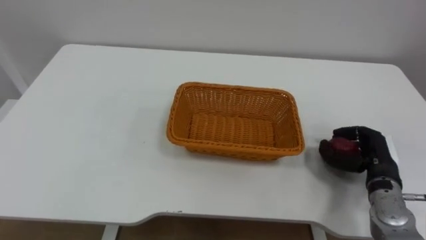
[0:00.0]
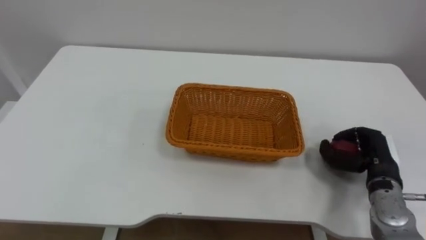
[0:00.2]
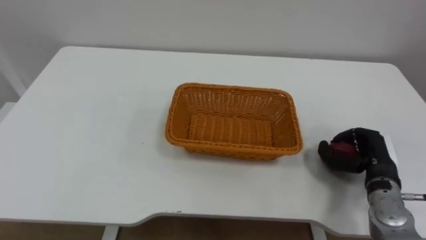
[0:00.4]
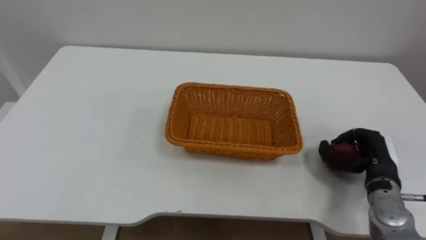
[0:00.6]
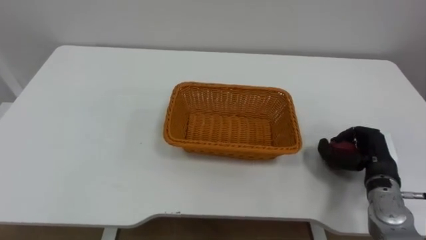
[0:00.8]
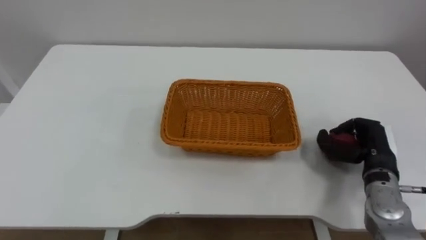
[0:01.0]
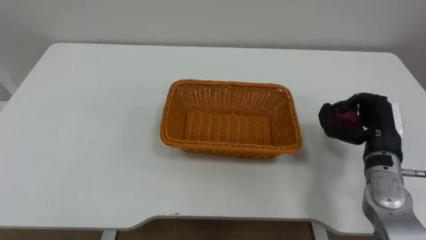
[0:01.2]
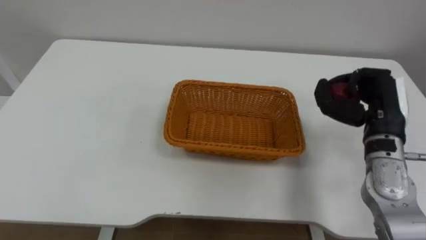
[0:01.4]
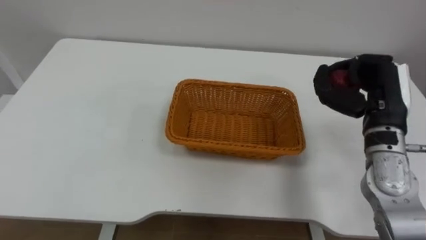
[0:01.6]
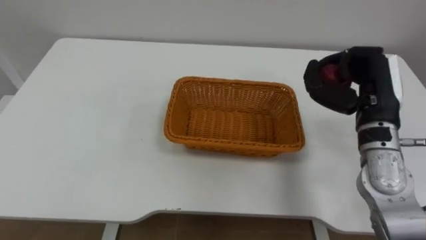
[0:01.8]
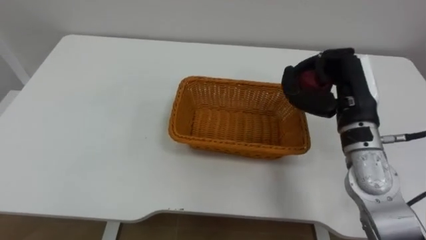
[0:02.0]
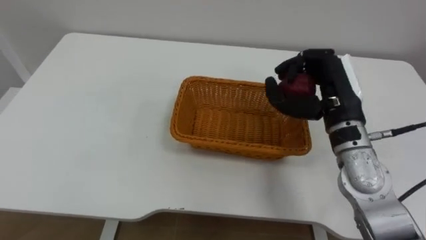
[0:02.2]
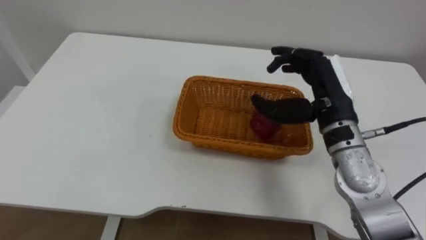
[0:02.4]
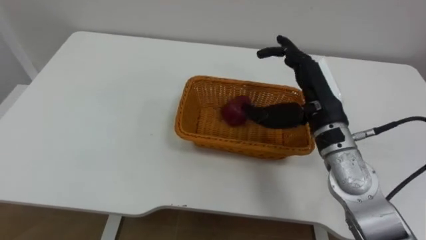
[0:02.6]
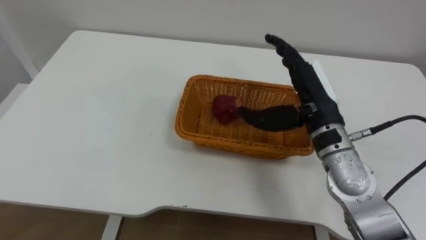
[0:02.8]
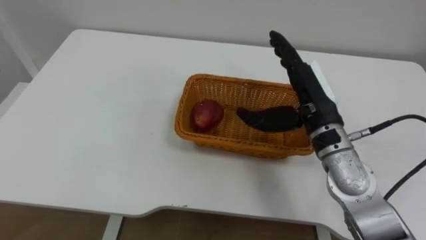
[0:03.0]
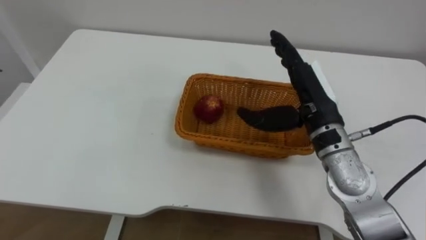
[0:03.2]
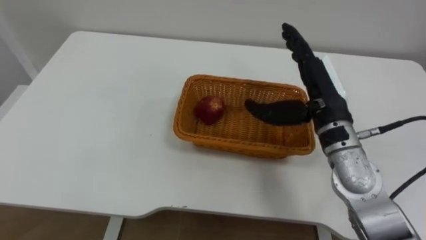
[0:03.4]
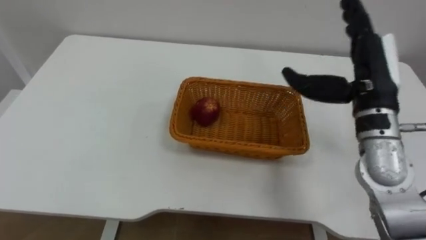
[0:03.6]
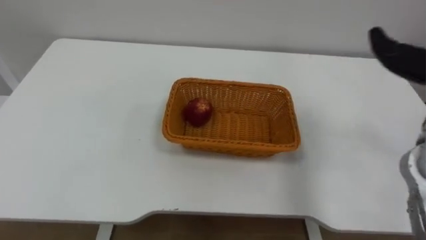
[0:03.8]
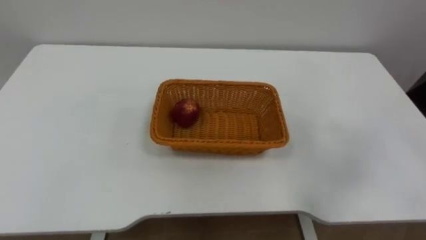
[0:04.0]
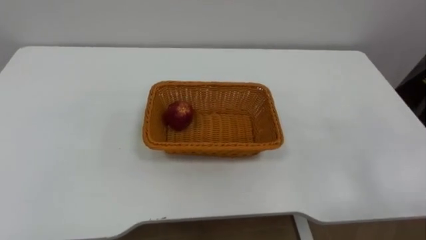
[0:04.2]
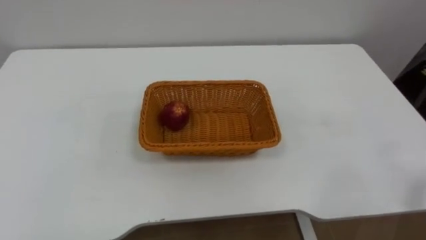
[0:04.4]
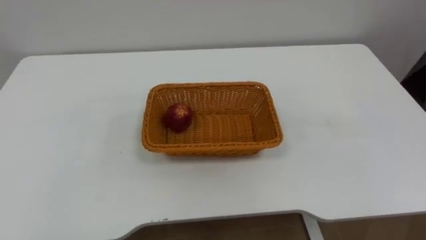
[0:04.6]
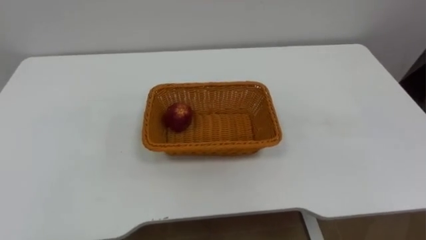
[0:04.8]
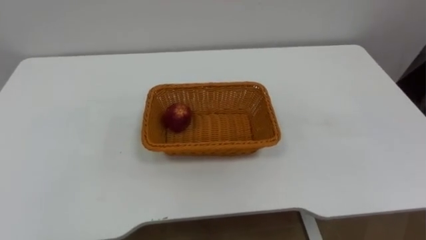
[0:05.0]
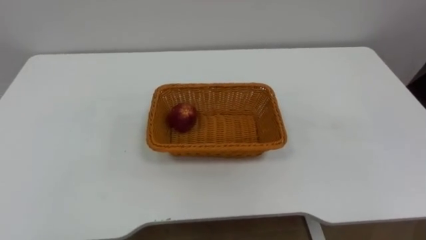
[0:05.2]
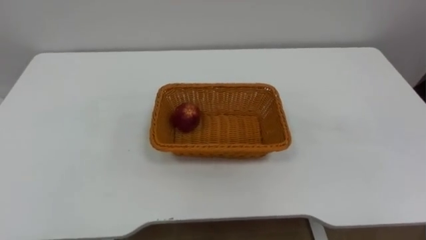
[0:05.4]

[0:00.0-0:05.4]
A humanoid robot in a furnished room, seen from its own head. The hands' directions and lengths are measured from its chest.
Task of the whole recording: Pick the apple and place it in the box.
0:00.0 to 0:01.4: The right hand heads upward, covering roughly 10 cm.
0:01.4 to 0:02.8: The right hand moves to the left, roughly 10 cm, and opens its fingers.

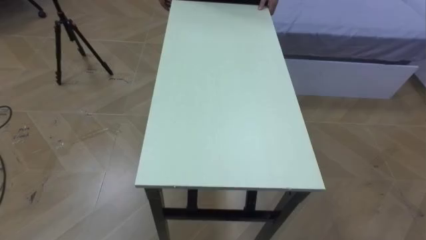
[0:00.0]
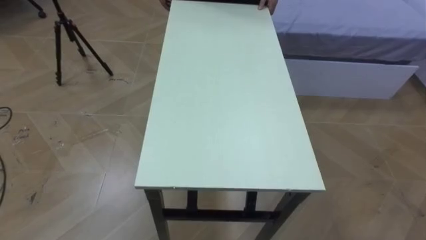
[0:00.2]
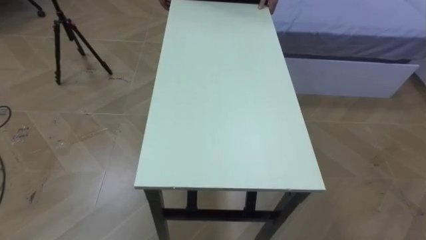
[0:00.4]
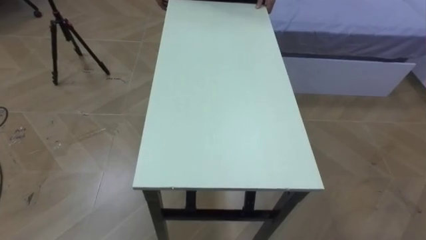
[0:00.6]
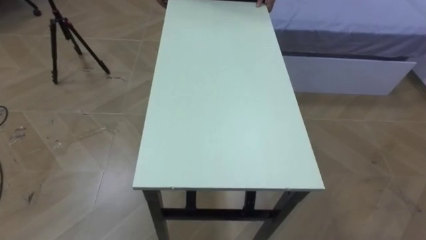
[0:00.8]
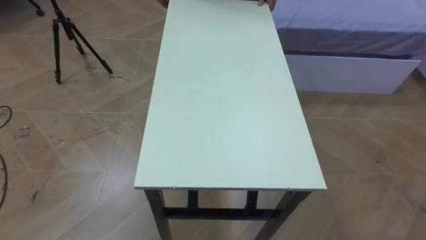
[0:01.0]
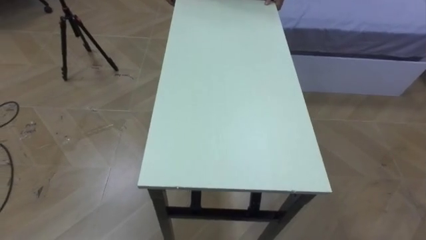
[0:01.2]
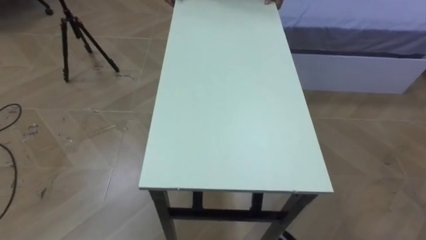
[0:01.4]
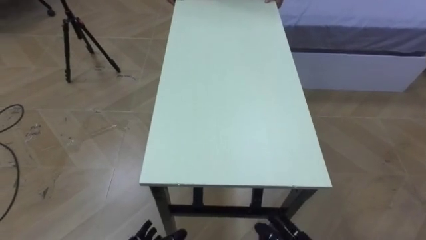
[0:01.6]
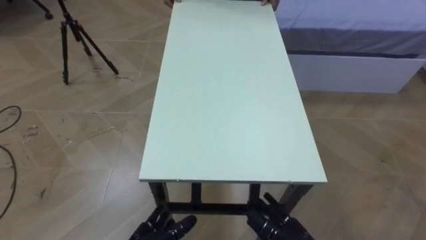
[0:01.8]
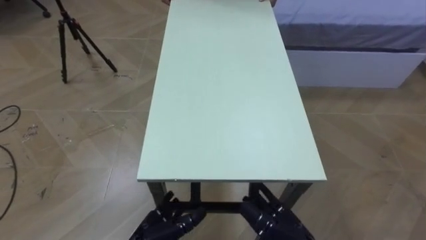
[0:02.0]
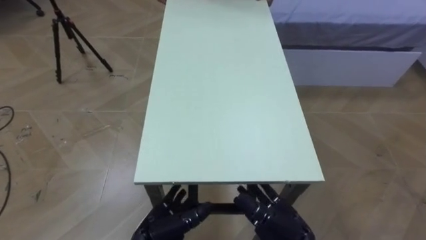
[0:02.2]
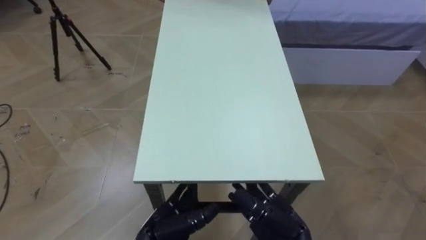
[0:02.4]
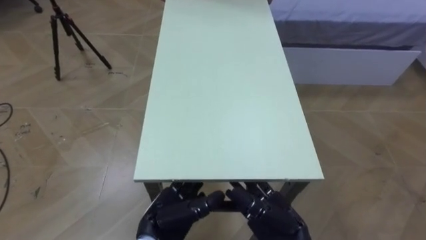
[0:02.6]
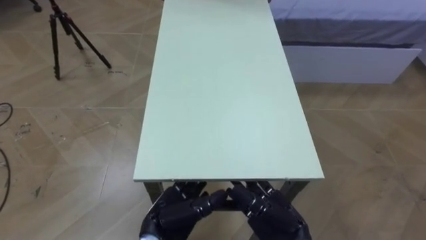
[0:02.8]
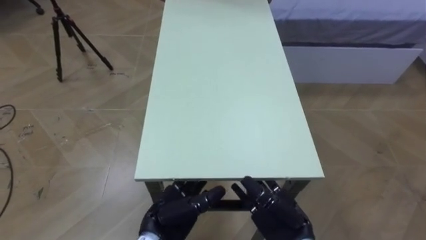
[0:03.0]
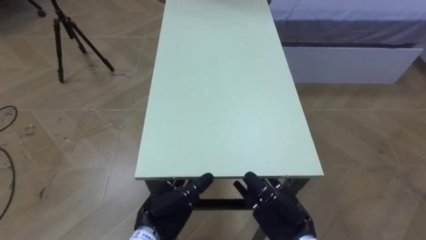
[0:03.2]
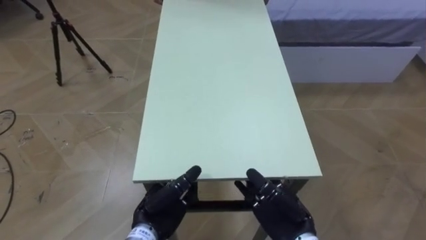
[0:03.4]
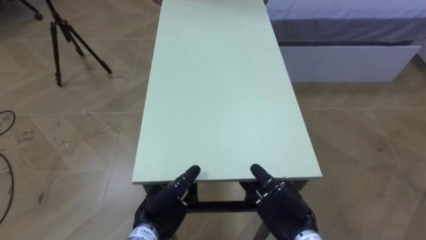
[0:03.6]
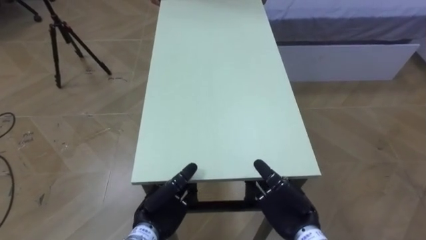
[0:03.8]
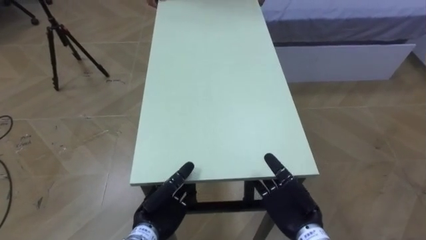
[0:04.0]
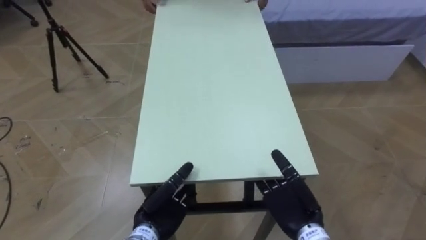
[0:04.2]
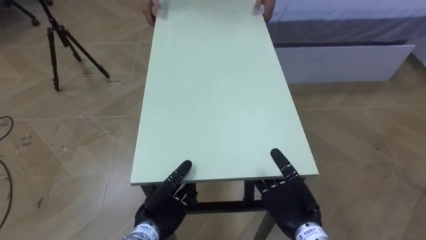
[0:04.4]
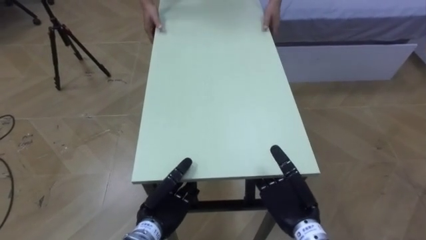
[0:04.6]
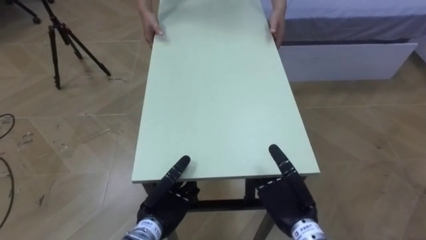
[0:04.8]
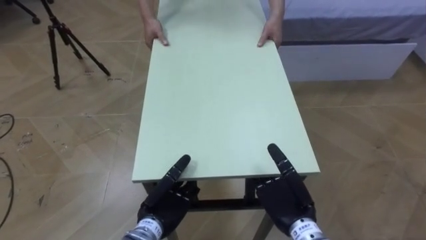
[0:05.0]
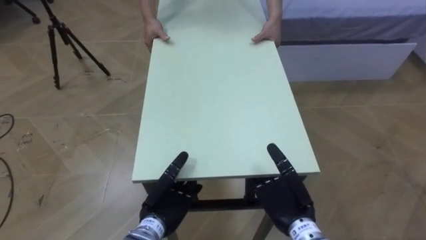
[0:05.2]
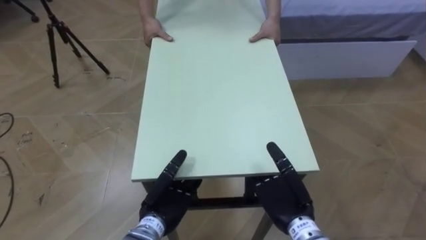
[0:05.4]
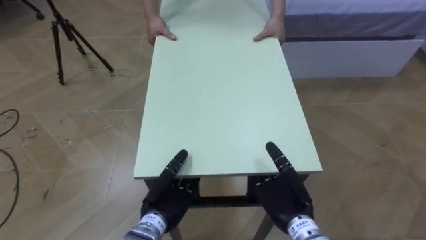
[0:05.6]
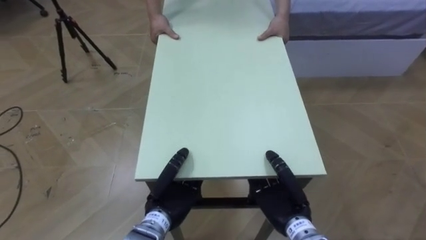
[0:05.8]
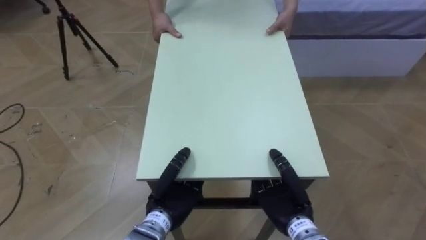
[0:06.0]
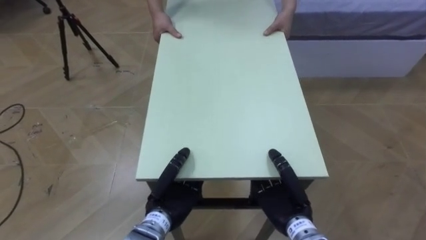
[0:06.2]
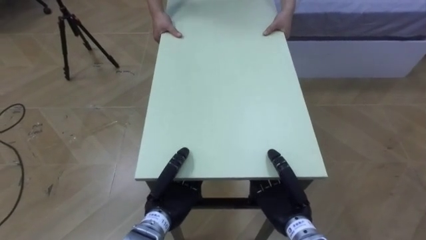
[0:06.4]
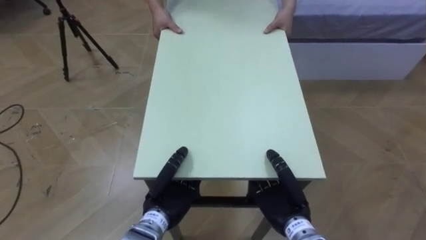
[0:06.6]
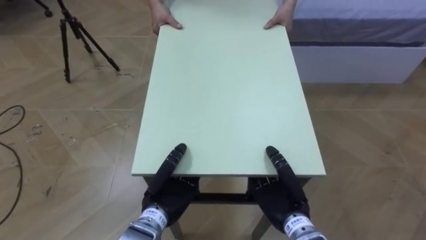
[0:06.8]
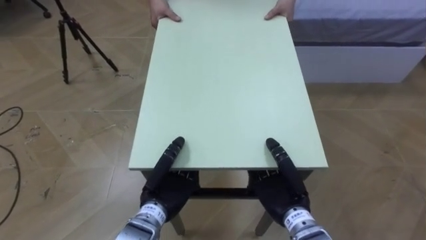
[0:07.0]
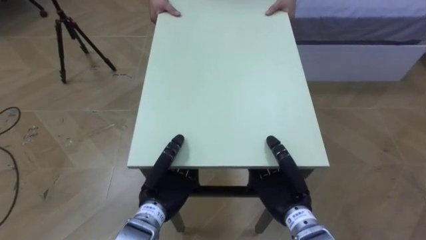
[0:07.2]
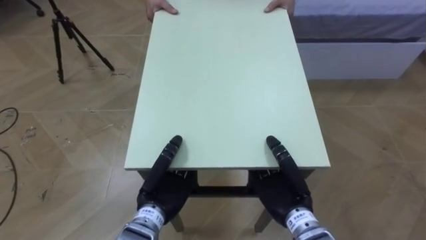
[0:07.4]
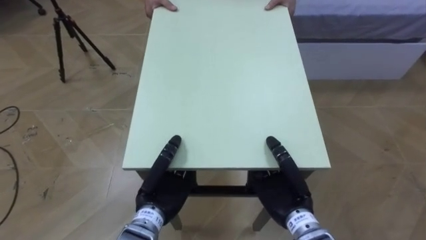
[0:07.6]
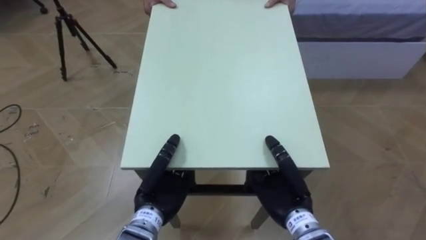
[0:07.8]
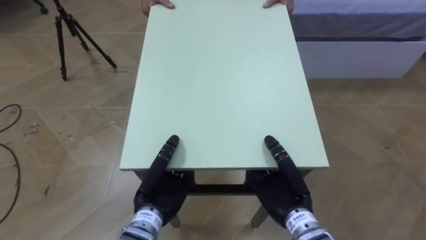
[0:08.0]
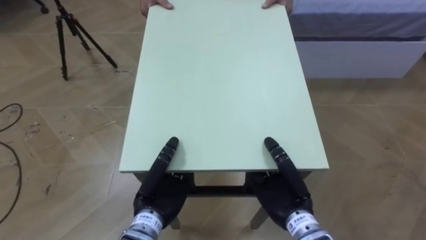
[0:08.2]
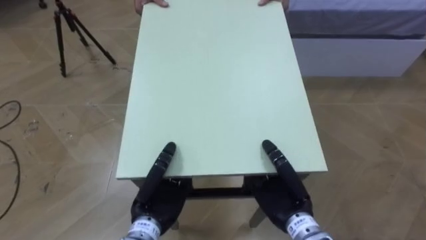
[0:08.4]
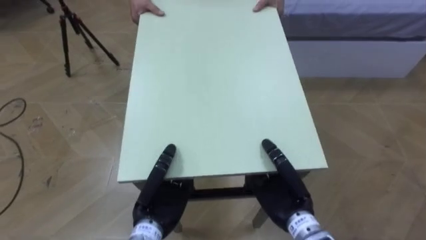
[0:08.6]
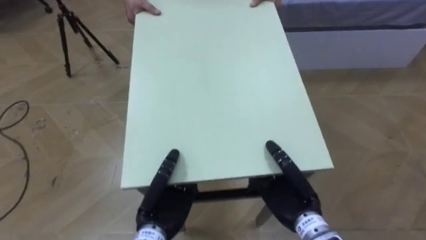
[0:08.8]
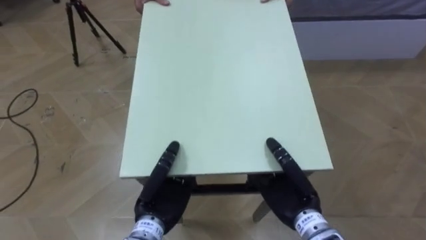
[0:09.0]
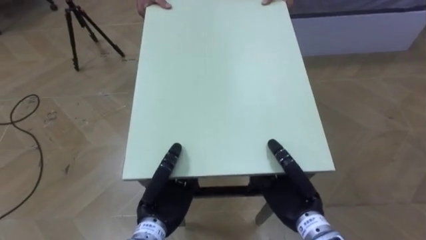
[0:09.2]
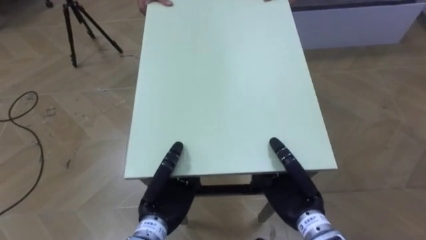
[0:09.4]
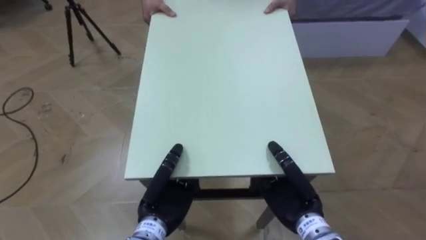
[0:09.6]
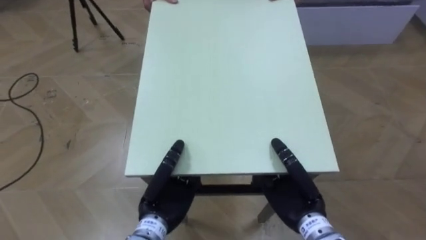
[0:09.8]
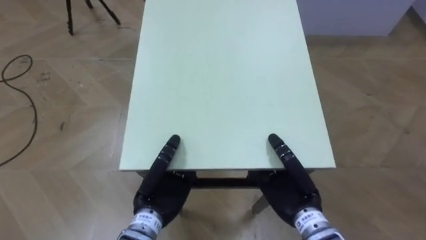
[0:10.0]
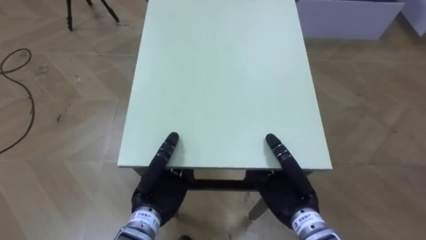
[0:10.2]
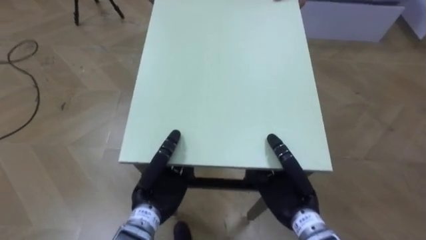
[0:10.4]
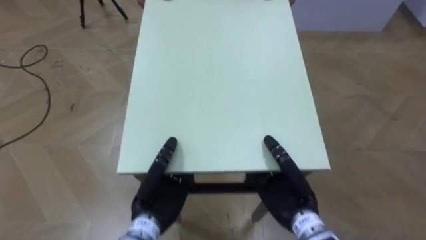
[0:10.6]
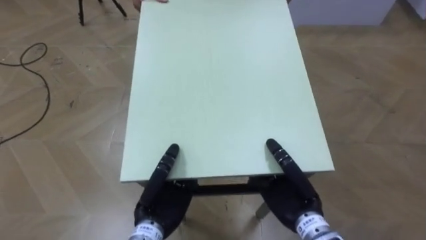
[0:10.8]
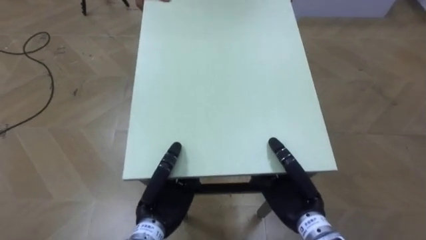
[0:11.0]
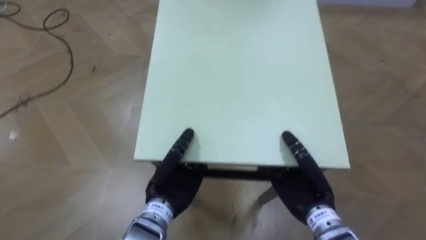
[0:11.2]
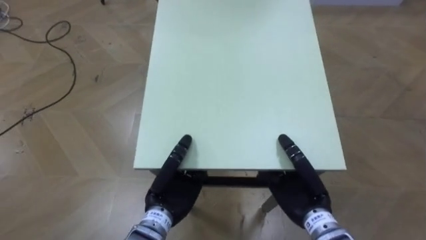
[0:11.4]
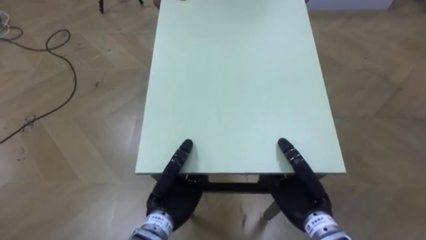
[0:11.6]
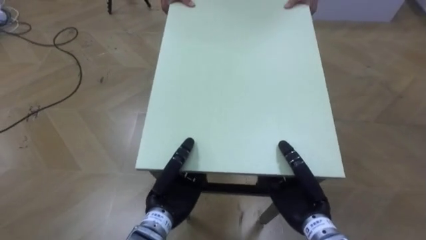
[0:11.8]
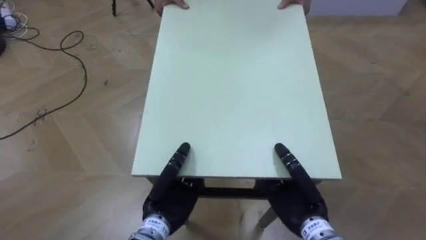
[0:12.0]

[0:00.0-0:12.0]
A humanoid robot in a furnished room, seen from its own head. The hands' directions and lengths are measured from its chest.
Task of the whole recording: Move the table to the back left with someone.
0:03.0 to 0:04.4: The left hand shifts by roughly 5 cm.
0:04.4 to 0:06.0: The left hand closes; the right hand closes up.
0:06.0 to 0:07.6: The hands move only a little.
